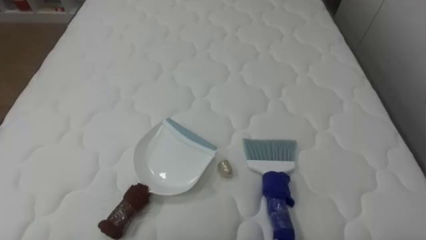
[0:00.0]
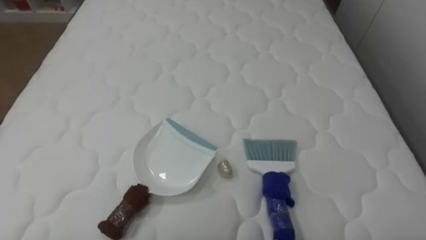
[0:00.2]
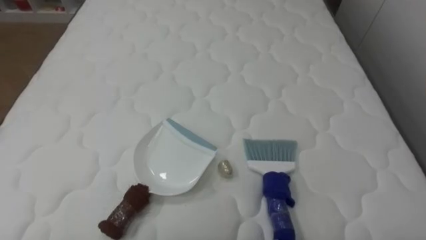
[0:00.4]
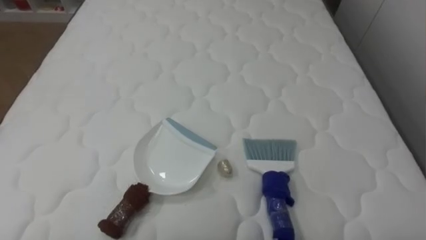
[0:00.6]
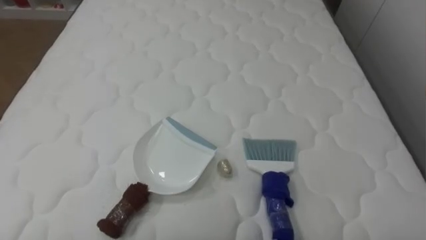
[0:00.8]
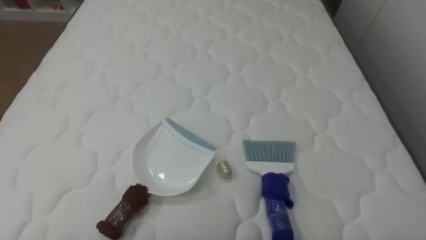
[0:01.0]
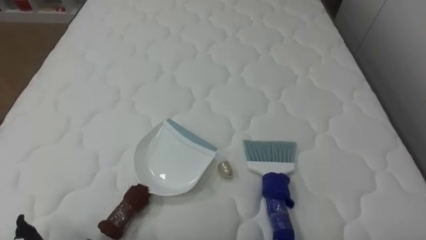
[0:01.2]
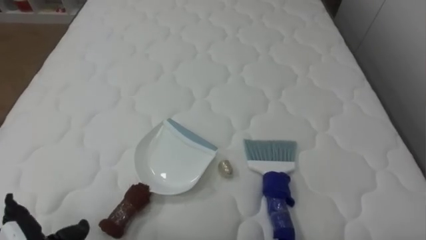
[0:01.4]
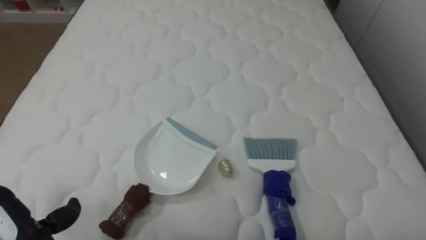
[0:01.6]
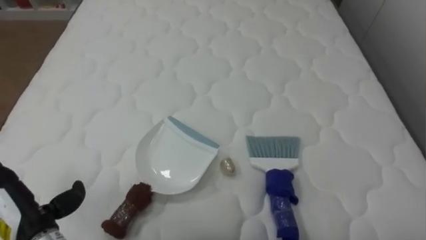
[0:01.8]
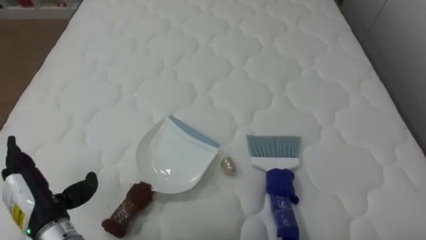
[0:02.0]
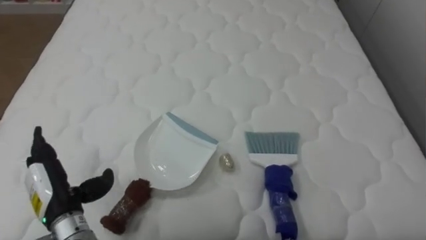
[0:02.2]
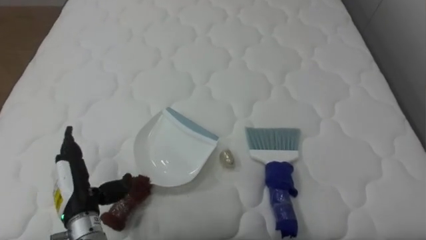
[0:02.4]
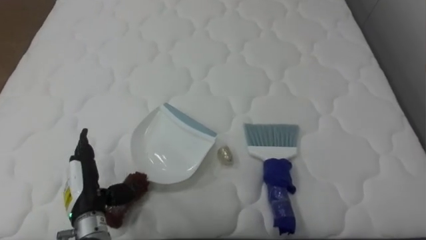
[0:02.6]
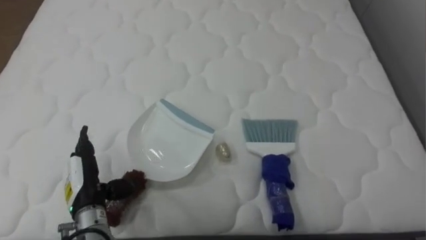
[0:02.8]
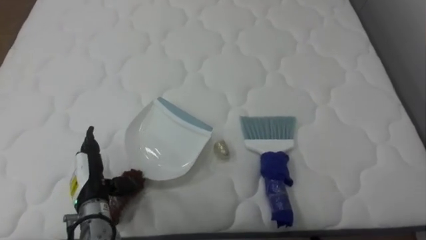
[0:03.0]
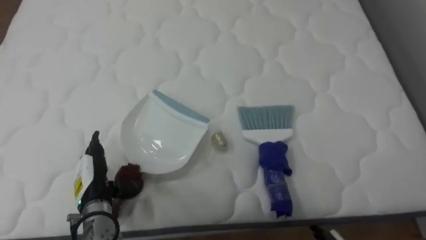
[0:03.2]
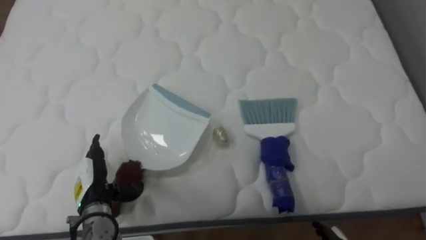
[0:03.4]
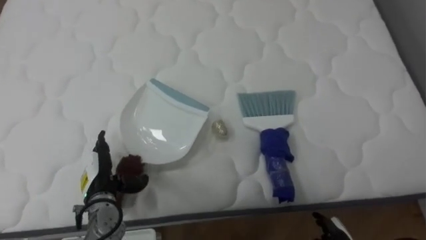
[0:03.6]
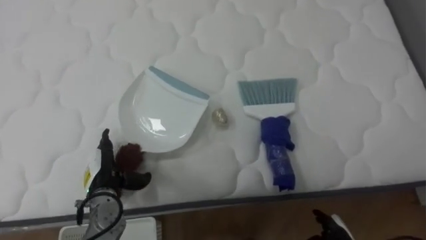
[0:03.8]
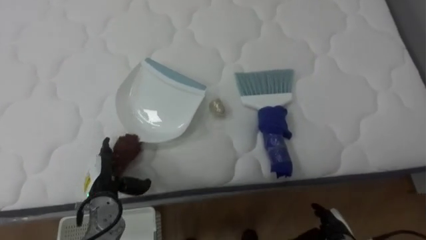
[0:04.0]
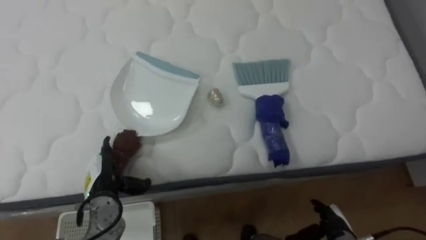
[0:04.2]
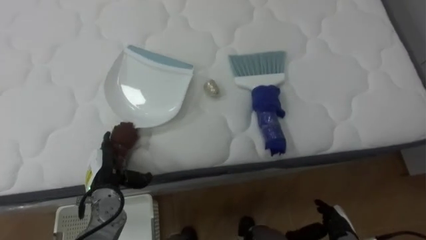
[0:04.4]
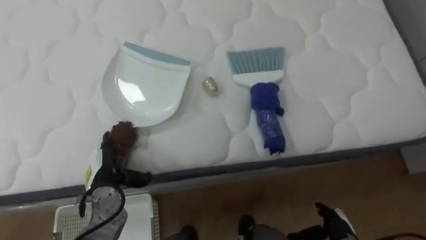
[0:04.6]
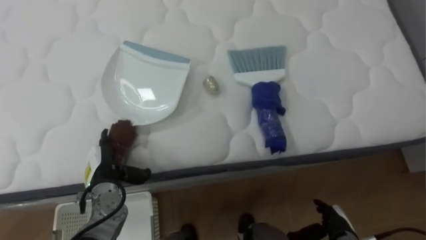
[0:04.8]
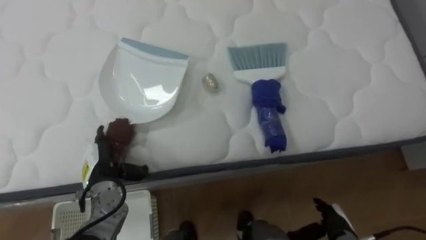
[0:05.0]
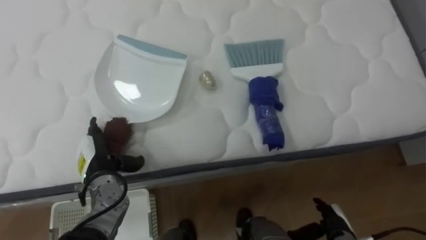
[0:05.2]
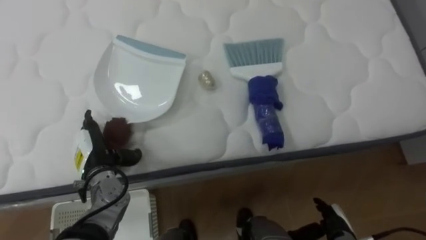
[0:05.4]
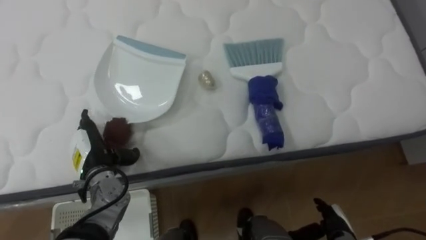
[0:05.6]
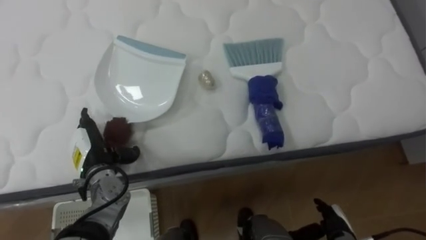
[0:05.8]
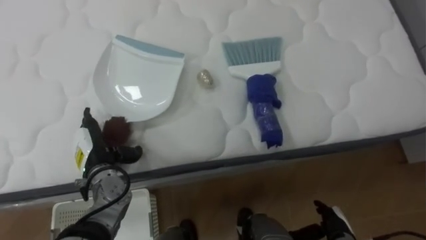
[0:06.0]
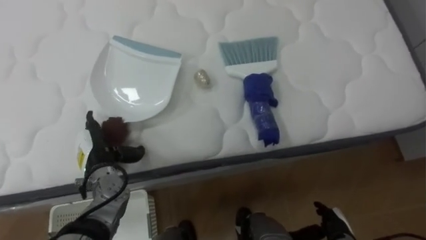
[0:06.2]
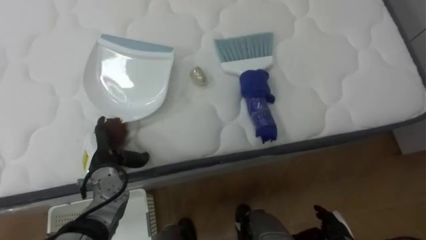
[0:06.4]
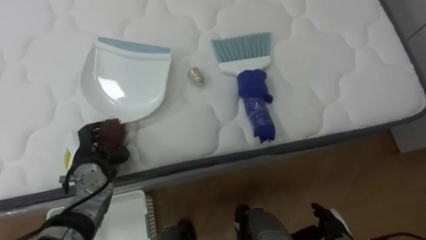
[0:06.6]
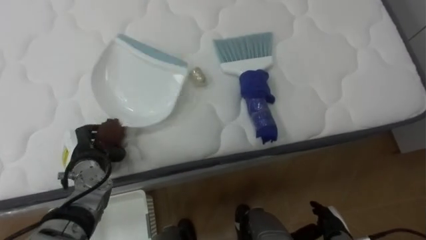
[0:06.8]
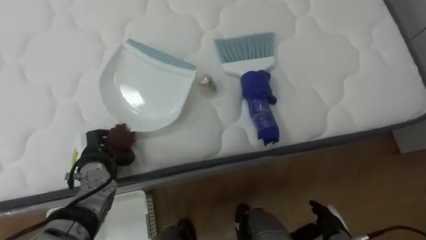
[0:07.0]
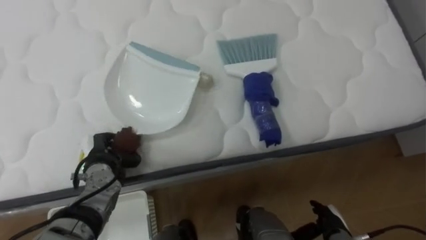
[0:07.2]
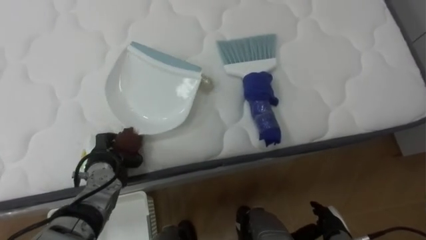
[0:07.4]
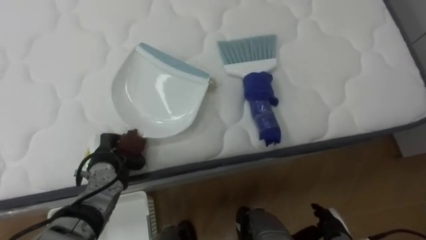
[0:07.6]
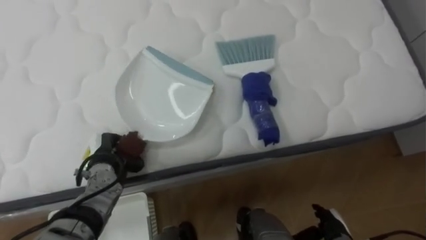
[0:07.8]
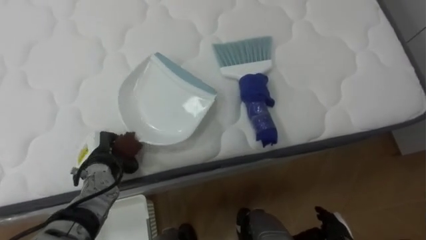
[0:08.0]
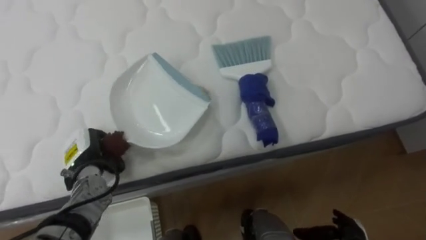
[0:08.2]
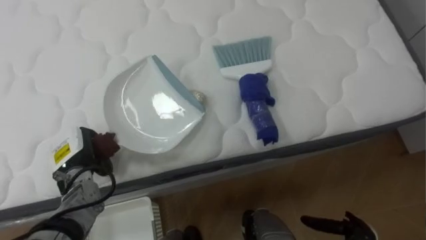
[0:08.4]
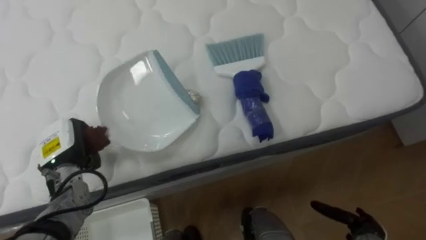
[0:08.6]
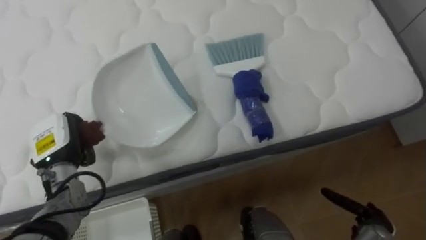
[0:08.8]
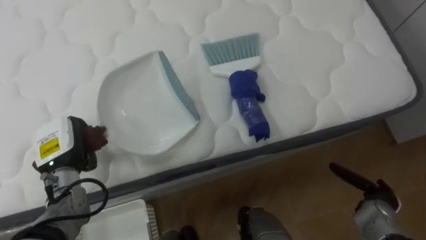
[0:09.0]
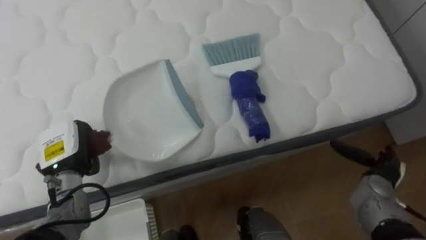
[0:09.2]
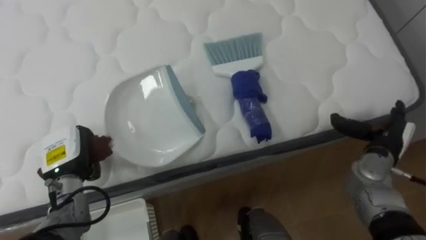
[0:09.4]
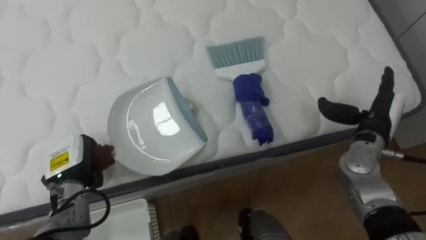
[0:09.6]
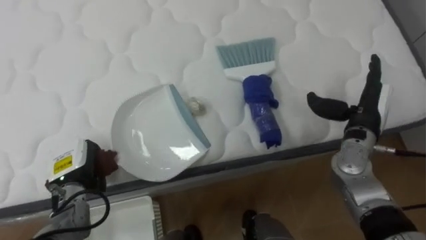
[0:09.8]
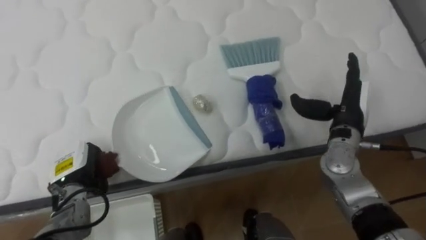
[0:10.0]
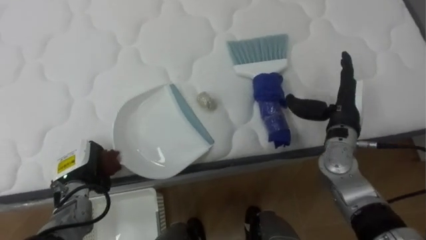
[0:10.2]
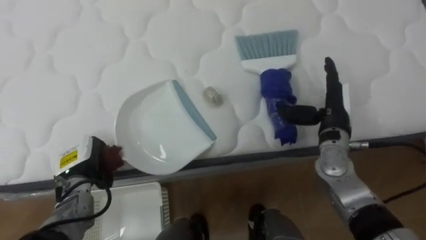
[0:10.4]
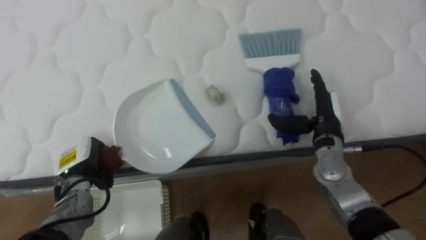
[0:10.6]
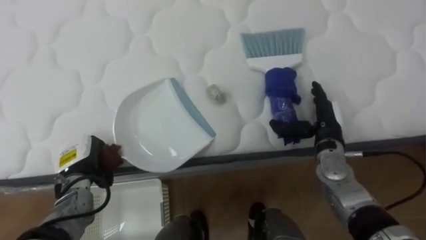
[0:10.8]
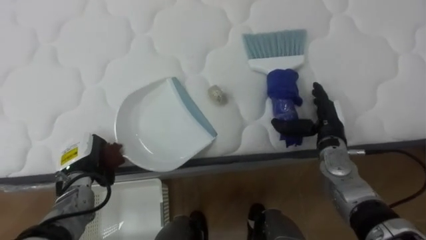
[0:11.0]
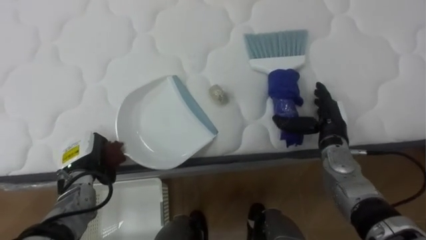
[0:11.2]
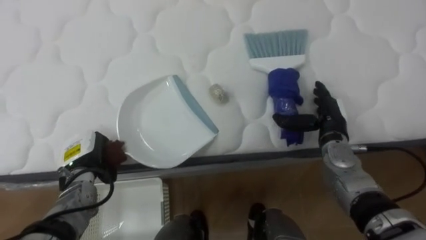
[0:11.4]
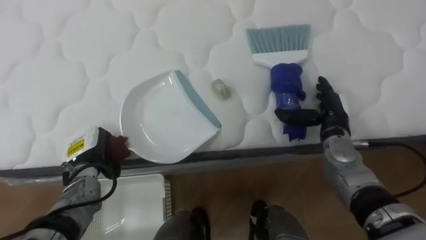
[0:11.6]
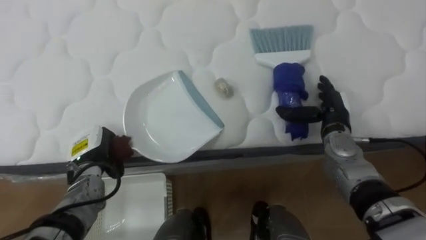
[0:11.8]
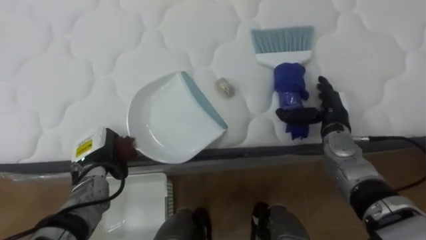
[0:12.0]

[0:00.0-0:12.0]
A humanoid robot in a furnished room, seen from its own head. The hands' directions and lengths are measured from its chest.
Task of the whole recording: Pick up the brush on your right and the dustpan on your left. Use the brush to sweep the crumpled paper on the bed into the dustpan, then turn left and empty it into the basket.
0:01.6 to 0:03.0: The left hand heads forward and to the right, covering some 15 cm.
0:04.4 to 0:06.0: The left hand shifts by about 5 cm.
0:06.0 to 0:07.6: The left hand closes up.
0:07.6 to 0:09.0: The left hand travels upward and to the left by about 10 cm.
0:09.0 to 0:10.4: The left hand shifts by approximately 5 cm; the right hand heads upward, forward and to the left, covering roughly 25 cm.

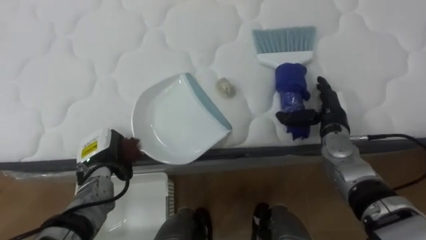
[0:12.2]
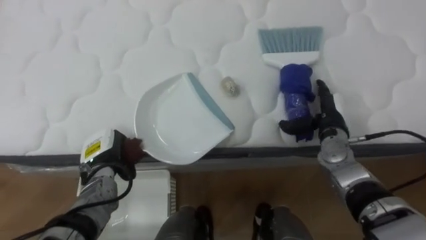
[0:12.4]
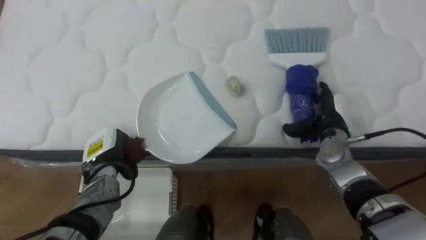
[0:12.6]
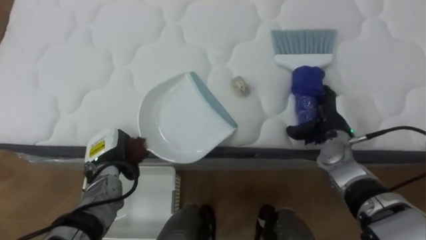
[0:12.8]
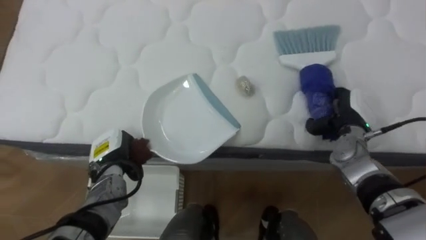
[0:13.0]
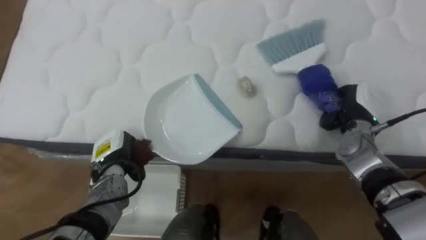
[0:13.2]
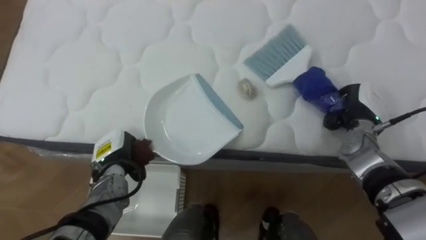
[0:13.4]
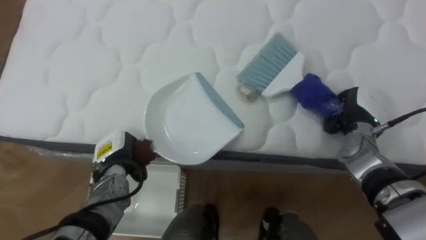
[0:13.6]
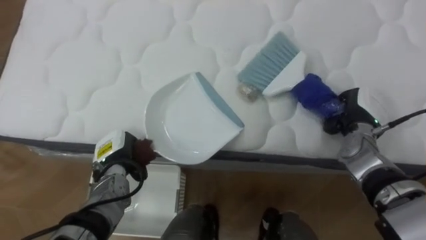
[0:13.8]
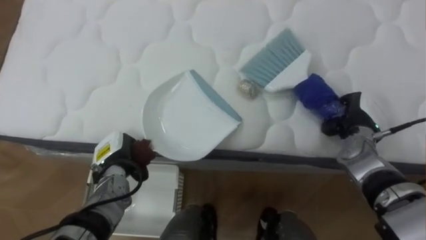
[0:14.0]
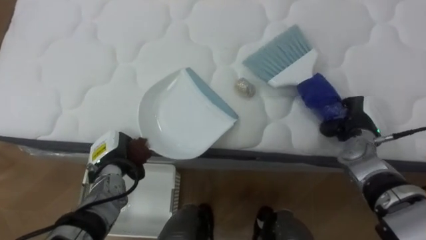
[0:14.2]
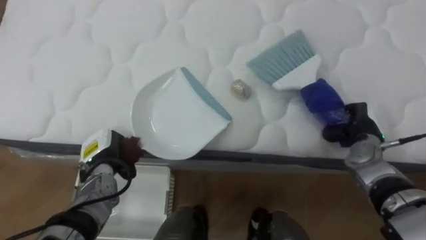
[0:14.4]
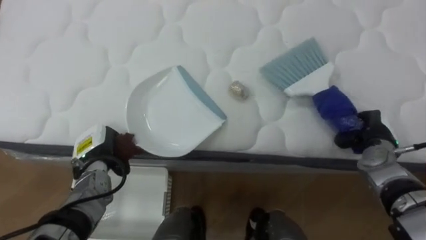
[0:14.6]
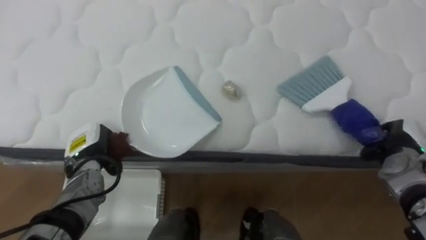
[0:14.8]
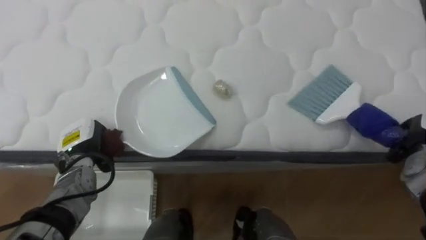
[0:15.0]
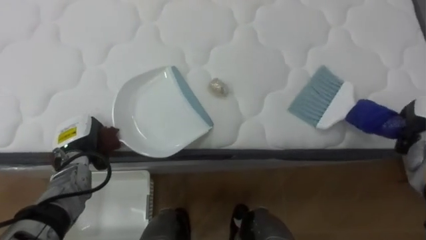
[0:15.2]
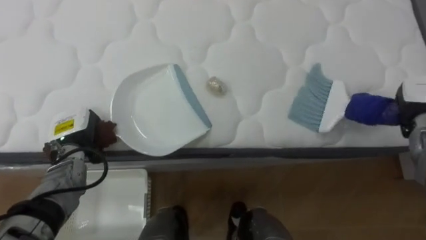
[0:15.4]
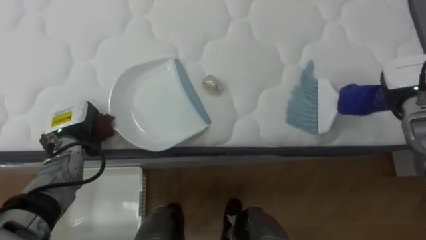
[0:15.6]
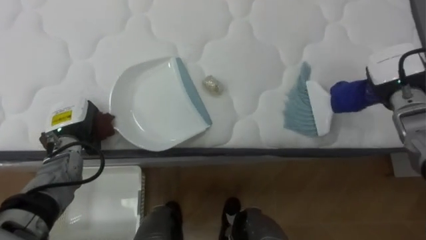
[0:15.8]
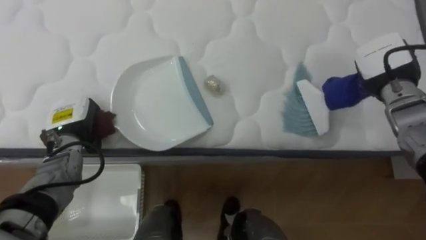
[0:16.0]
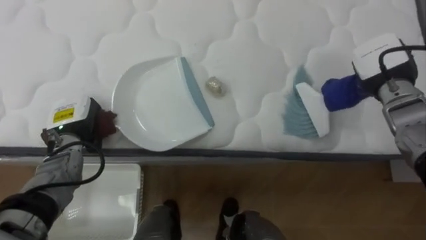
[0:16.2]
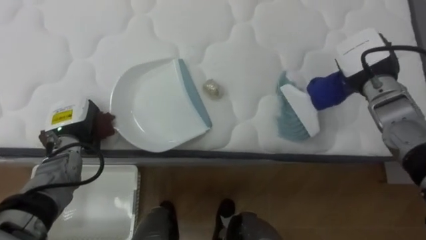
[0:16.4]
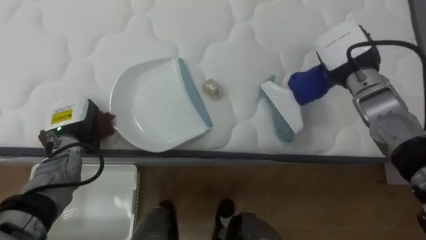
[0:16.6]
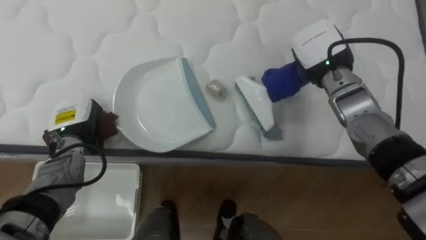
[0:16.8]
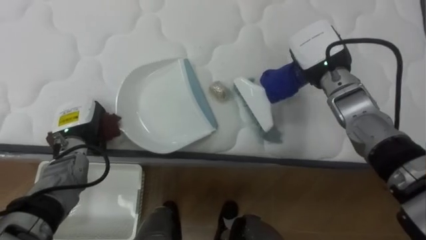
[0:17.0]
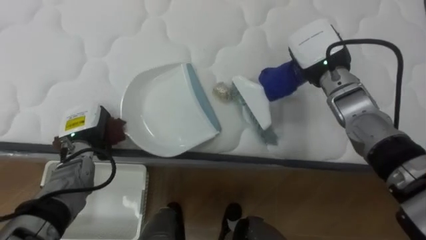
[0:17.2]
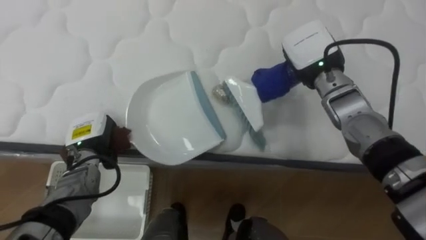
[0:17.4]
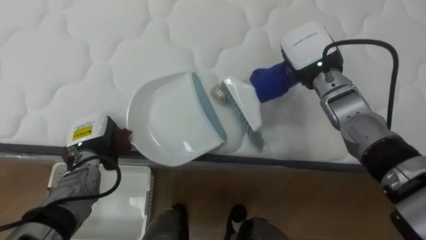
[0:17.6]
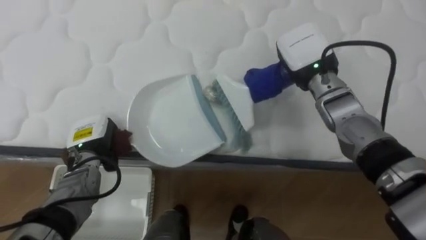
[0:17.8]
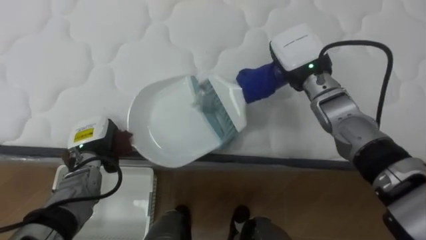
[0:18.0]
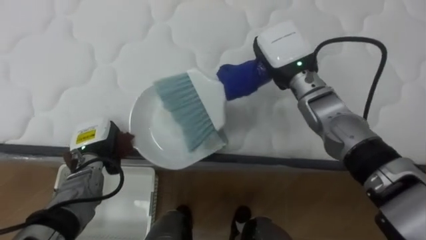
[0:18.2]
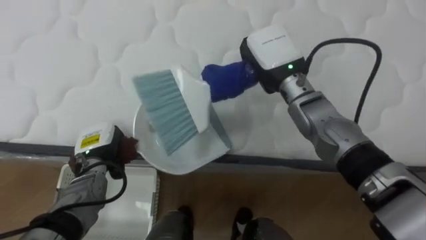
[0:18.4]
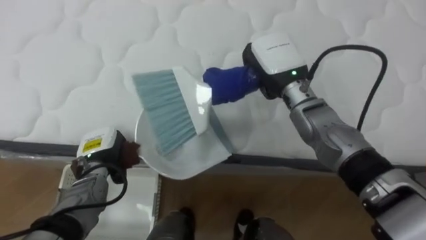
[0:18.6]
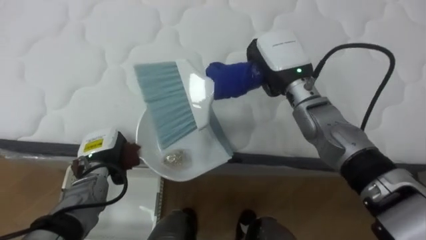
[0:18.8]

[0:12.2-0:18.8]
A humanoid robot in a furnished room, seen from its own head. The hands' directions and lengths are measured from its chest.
Task of the whole recording: Pick up the brush on your right and the dustpan on your left. Use the brush to sweep the crumpled paper on the bed into the dustpan, then turn left and empty it into the basket.
0:12.2 to 0:13.8: The right hand travels to the right by roughly 5 cm, and closes.
0:13.8 to 0:15.4: The left hand shifts approximately 10 cm to the left and upward.
0:15.4 to 0:17.2: The right hand heads to the left, covering some 20 cm.
0:17.2 to 0:18.8: The left hand ends up approximately 5 cm from where it was, while the right hand heads to the left, covering roughly 5 cm.
